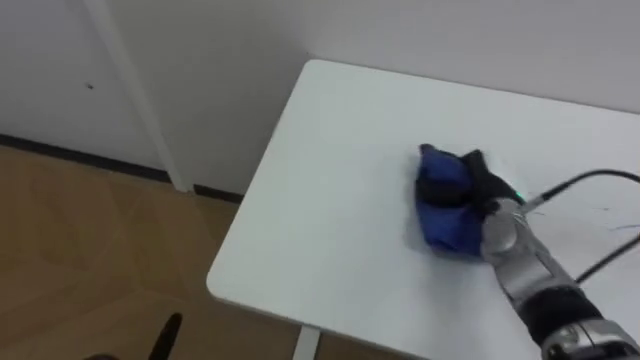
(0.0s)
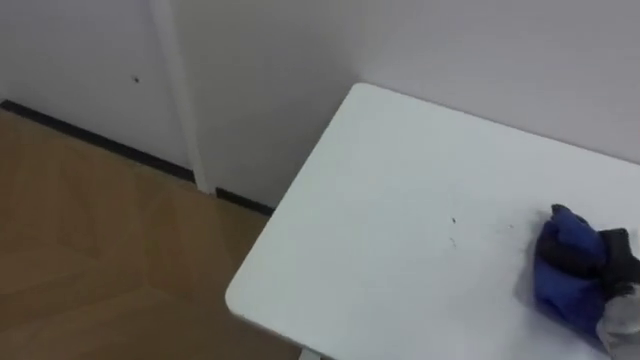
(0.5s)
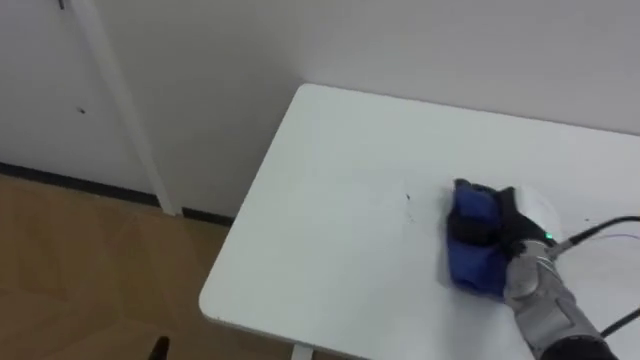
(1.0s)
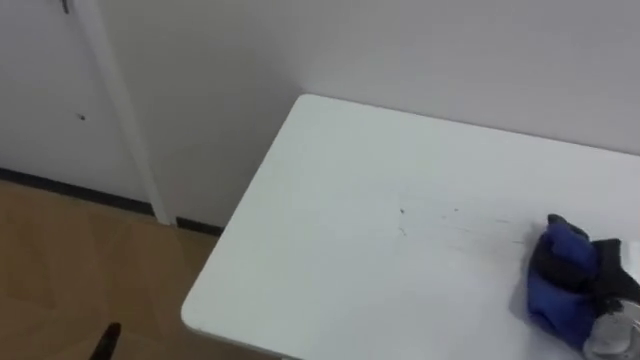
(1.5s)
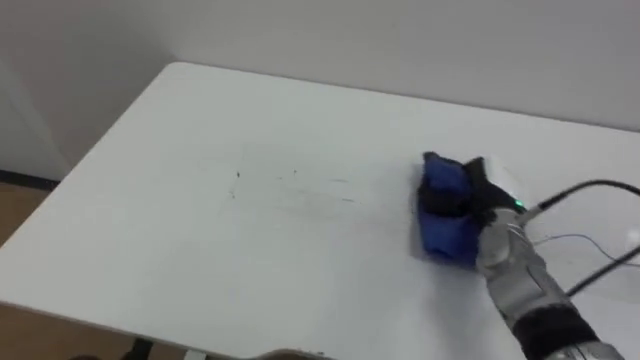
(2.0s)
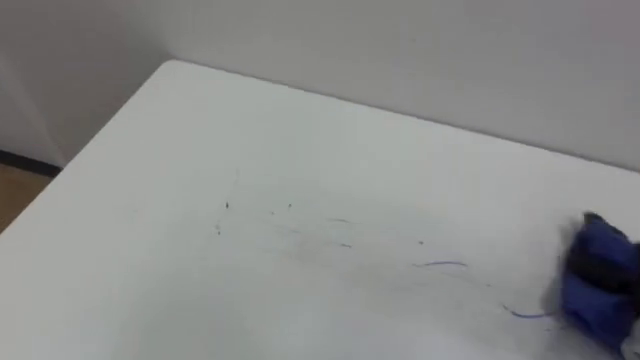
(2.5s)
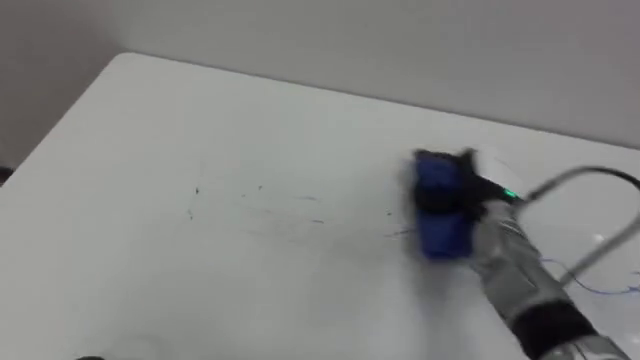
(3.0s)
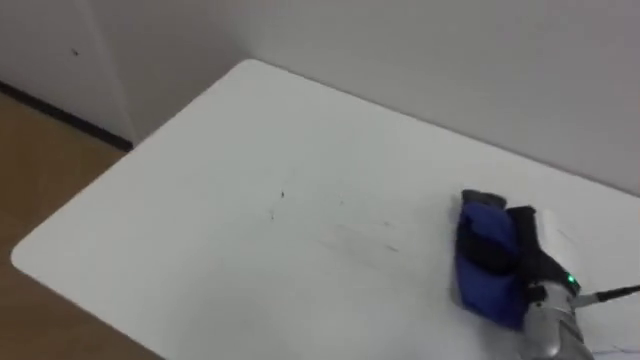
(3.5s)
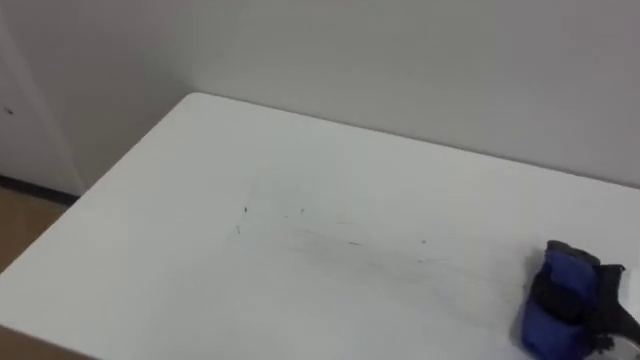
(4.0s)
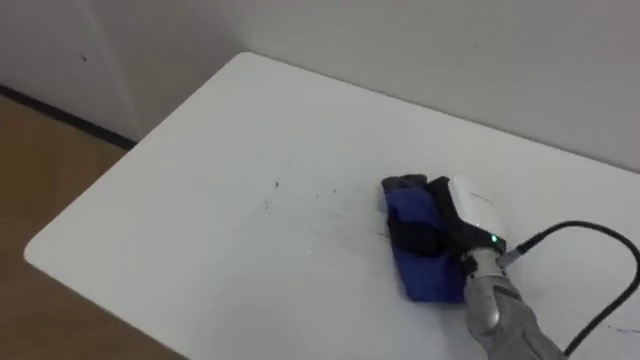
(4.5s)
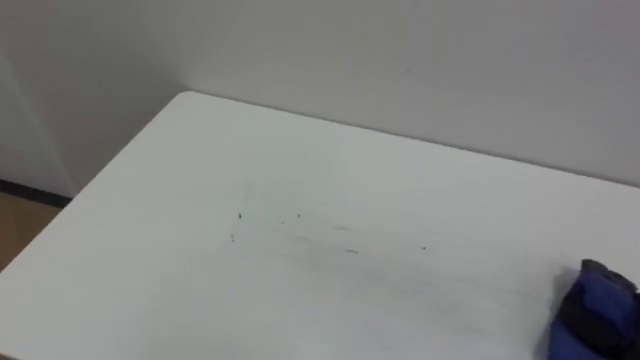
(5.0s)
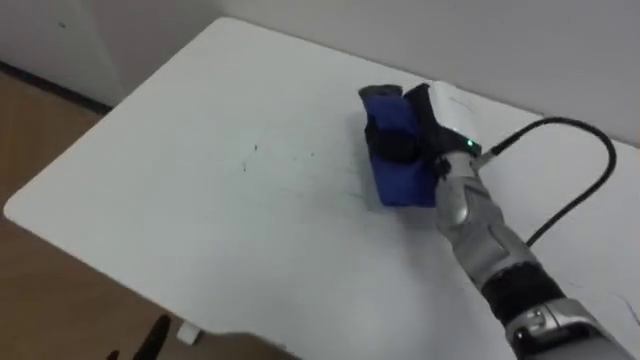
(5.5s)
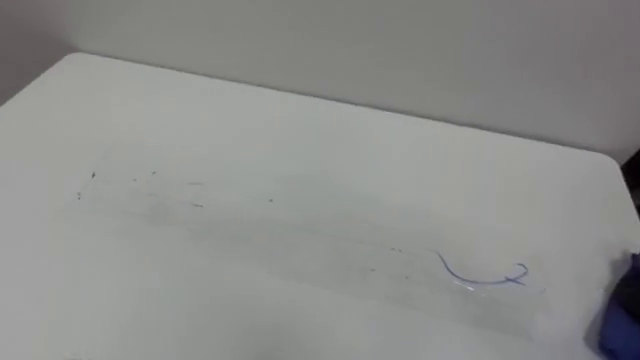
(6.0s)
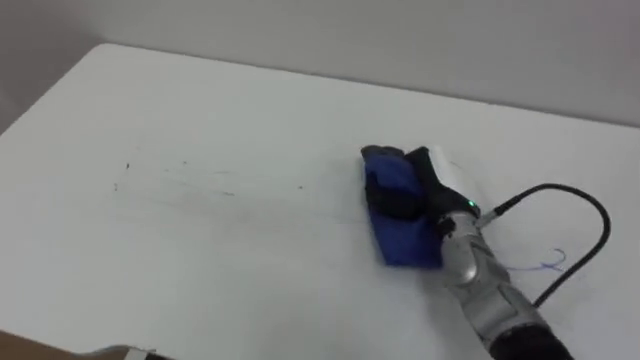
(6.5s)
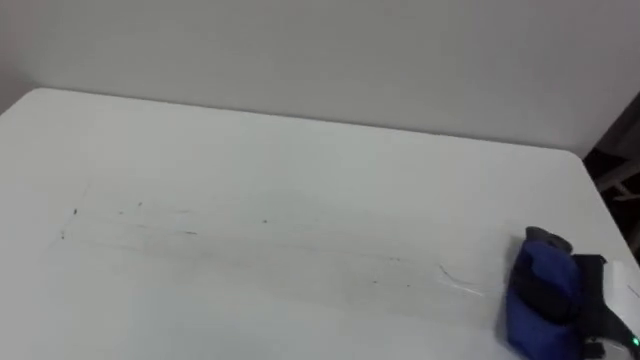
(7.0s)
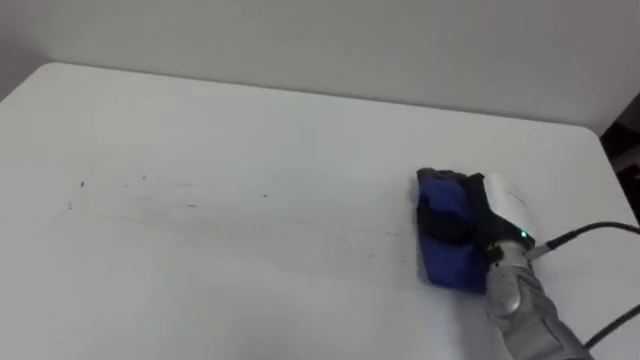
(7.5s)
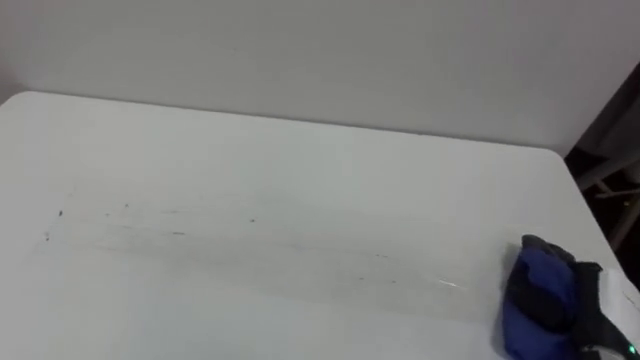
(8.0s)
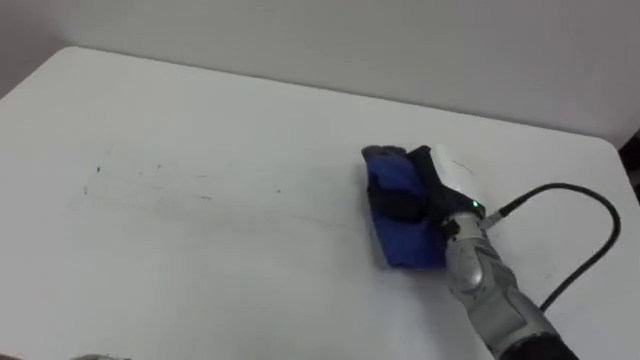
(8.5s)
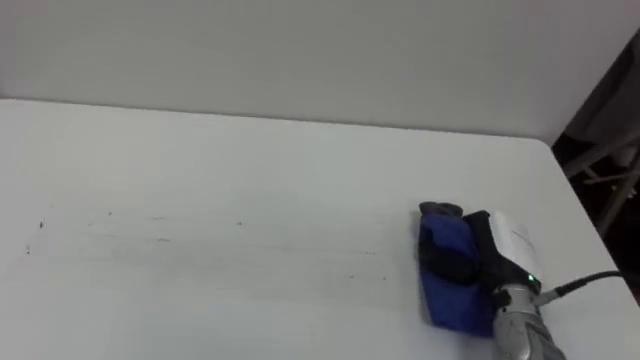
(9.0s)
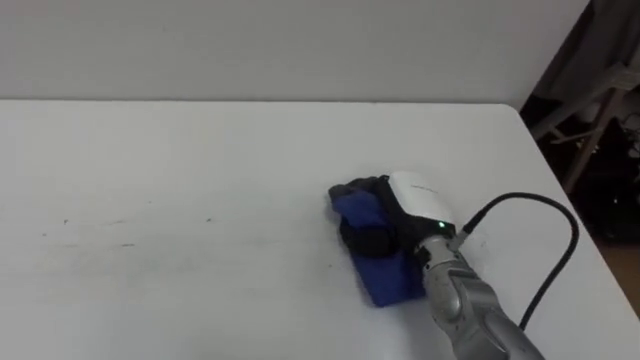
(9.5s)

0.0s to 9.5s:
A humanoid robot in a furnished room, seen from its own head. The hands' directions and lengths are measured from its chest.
Task of the whole recording: Wipe the blue pen marks off the table with the rag.
0.0s to 2.0s: The right hand moves left and right over approximately 15 cm, changing direction 3 times.
4.0s to 5.5s: The right hand goes forward and backward, approximately 25 cm each way, reversing 2 times.
7.5s to 9.5s: The right hand moves left and right over about 25 cm, changing direction 3 times.

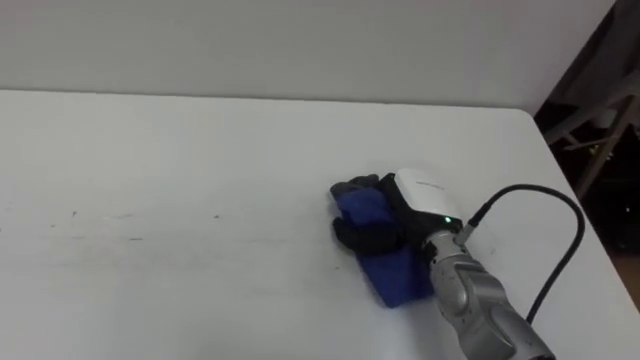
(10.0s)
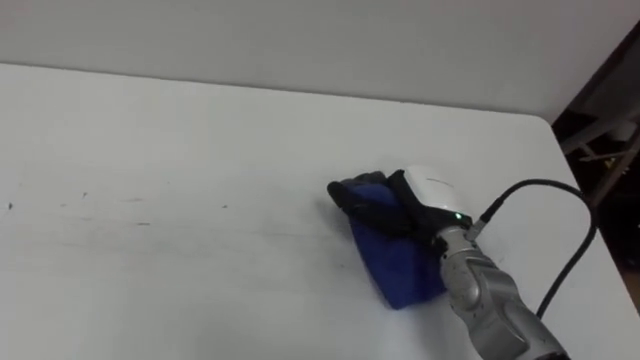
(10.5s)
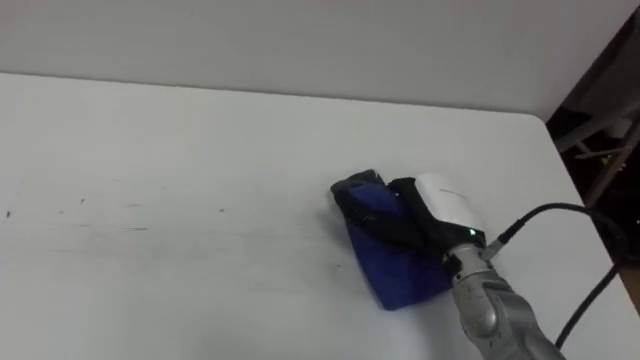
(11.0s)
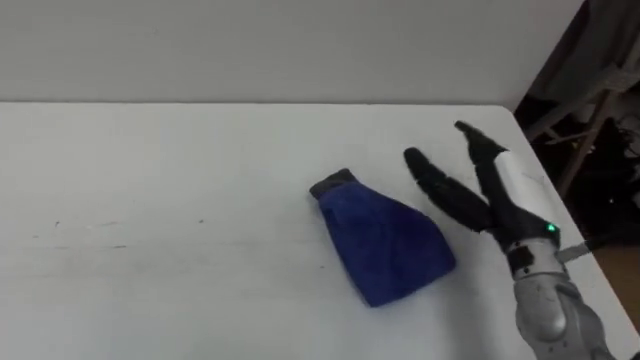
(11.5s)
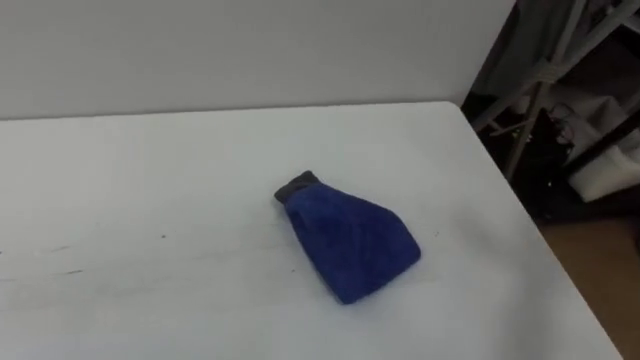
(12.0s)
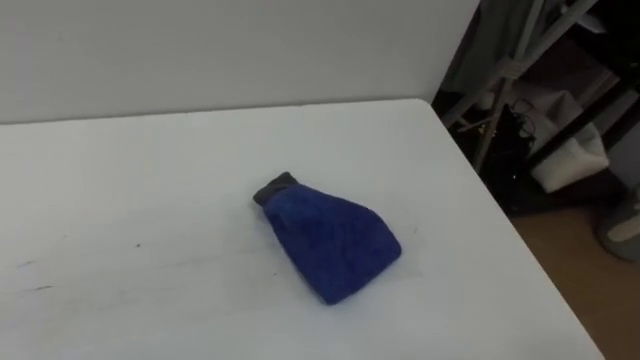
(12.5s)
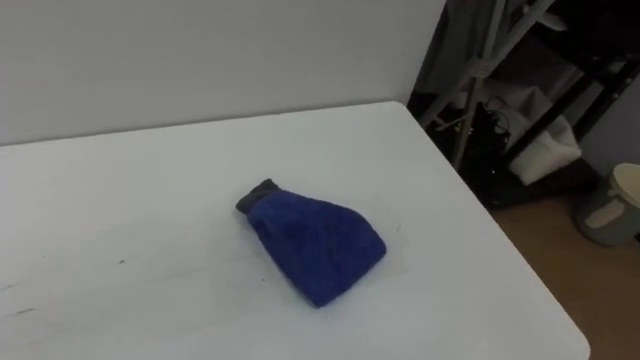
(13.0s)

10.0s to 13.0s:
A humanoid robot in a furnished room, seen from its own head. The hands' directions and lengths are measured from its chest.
Task of the whole recording: Wipe the blue pen marks off the table with the rag.
10.0s to 11.5s: The right hand travels to the right and upward by approximately 10 cm, and opens up.

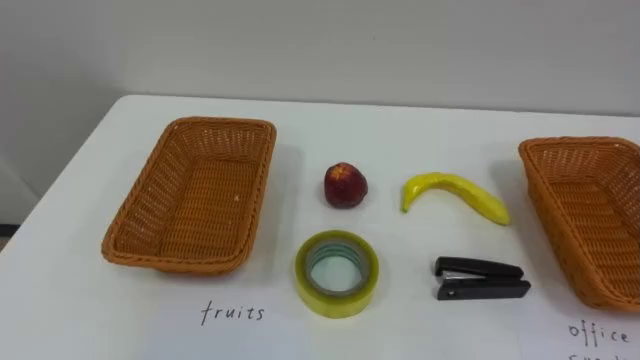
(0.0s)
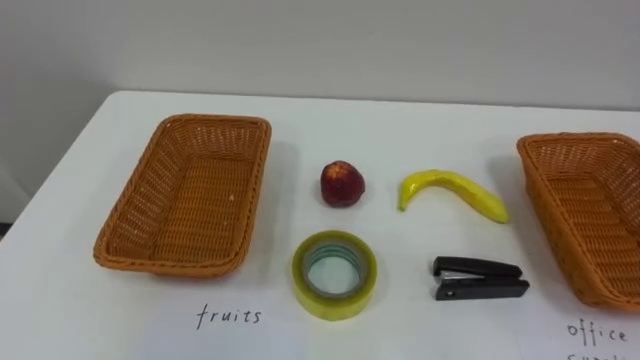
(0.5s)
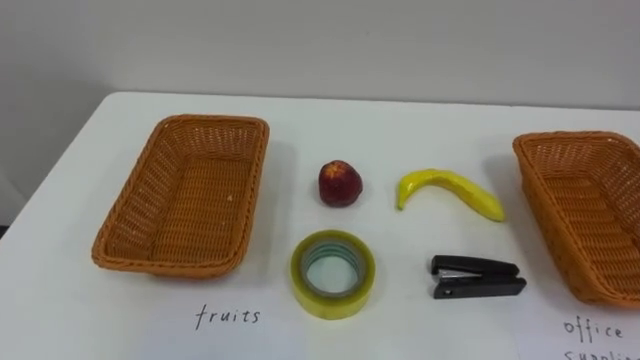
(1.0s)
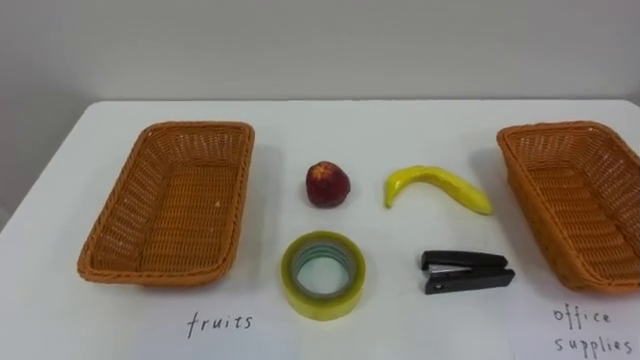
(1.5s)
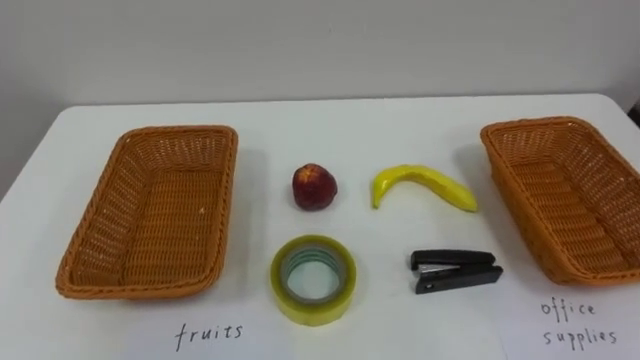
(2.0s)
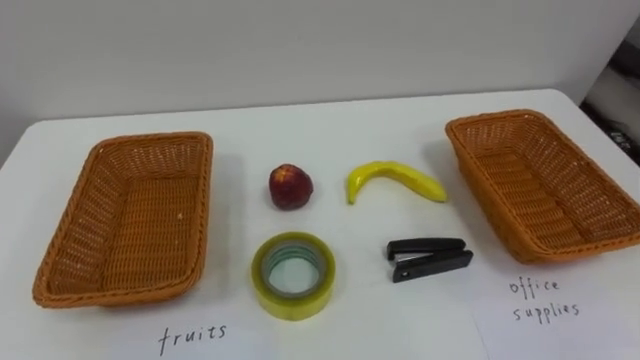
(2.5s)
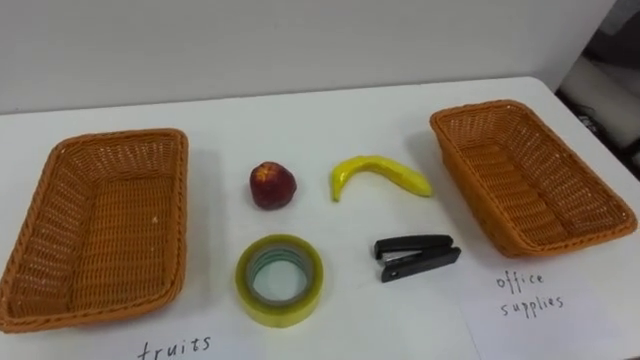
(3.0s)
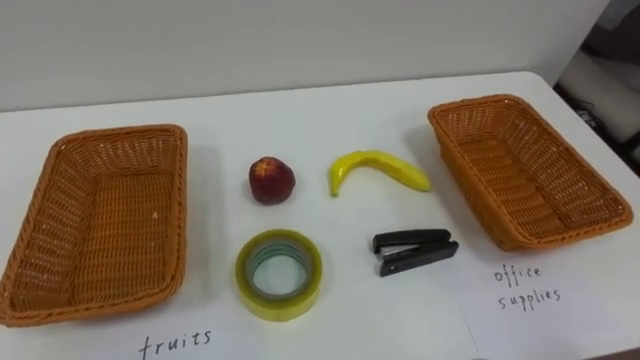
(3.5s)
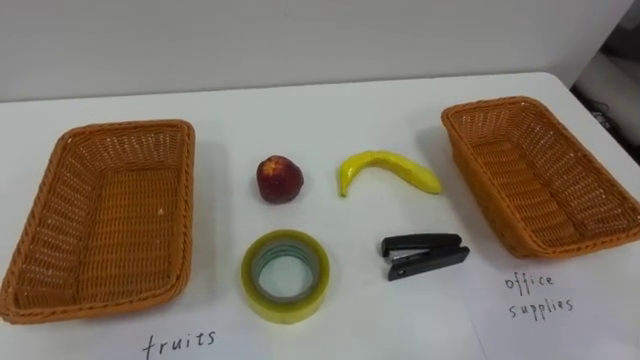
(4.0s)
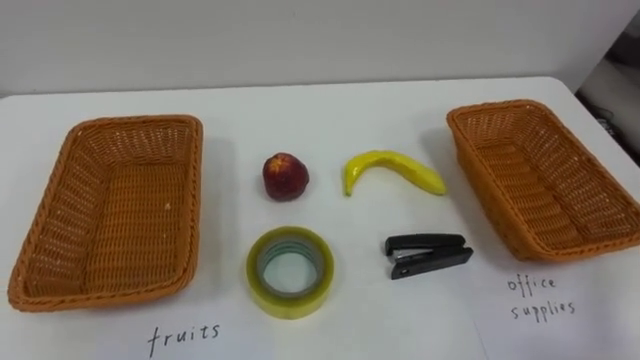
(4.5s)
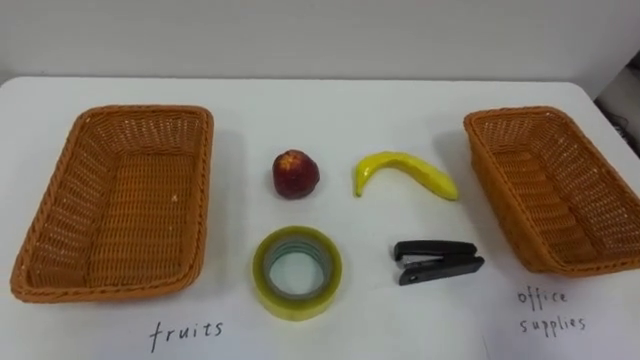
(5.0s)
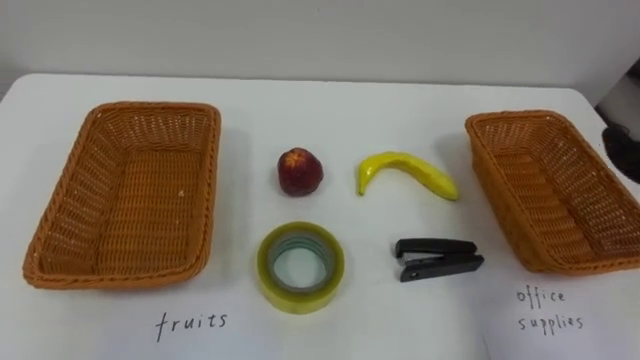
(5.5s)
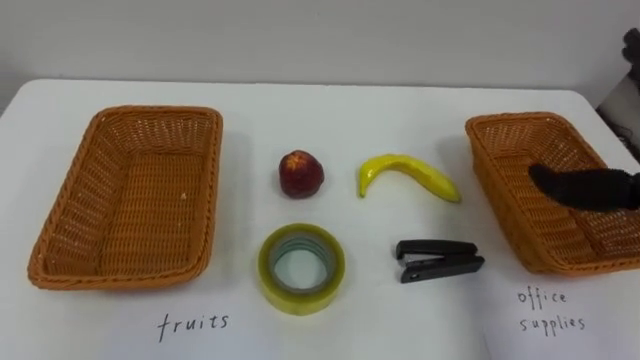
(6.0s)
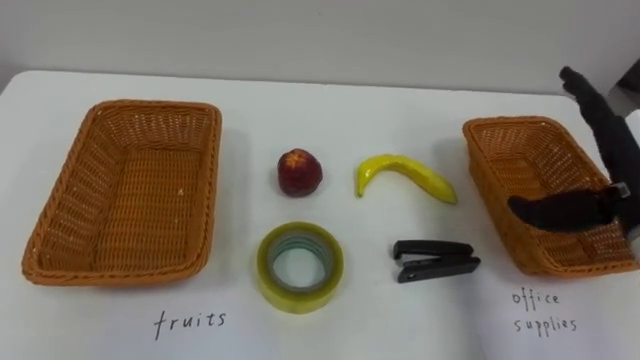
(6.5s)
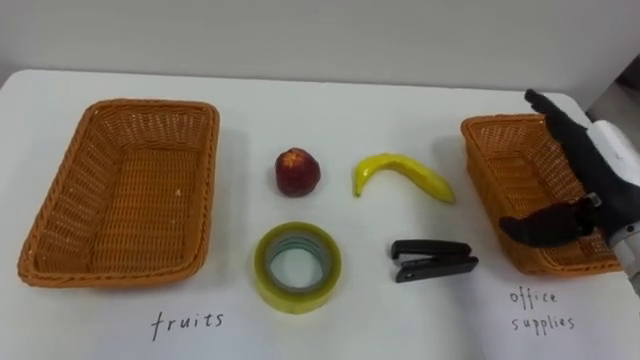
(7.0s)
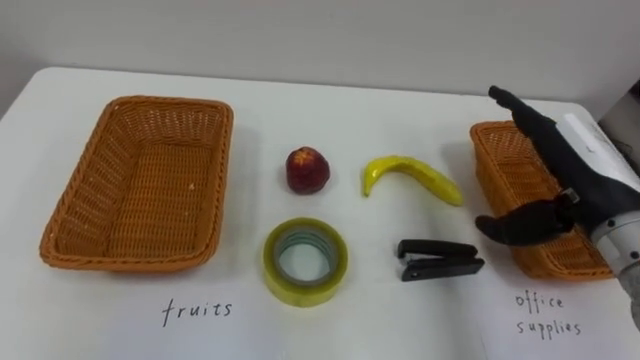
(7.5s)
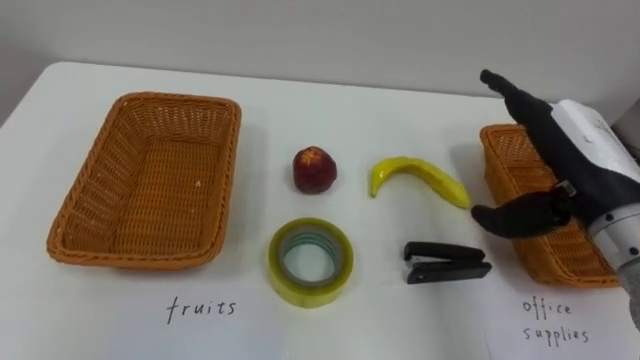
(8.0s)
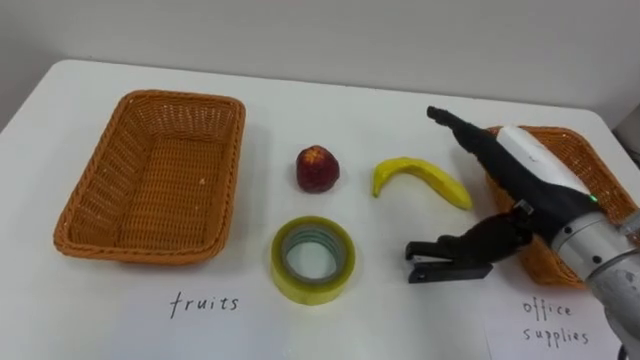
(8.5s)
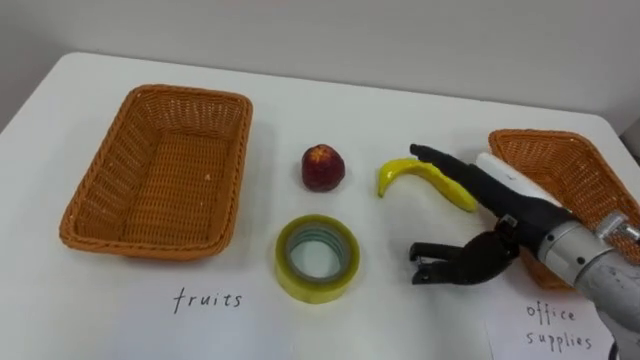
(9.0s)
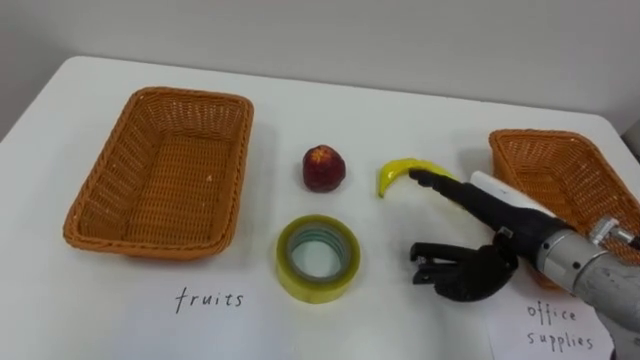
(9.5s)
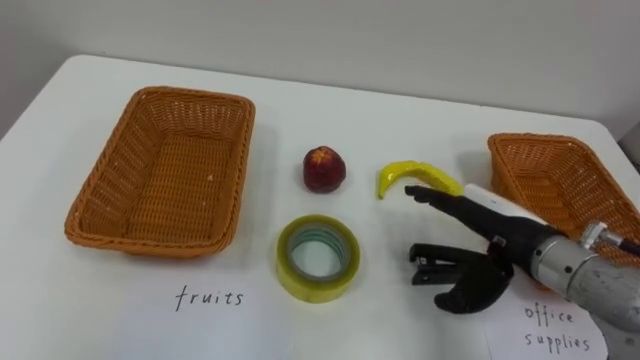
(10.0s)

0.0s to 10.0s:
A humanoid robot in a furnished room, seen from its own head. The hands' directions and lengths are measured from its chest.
Task of the whole recording: Separate the items on the table and place them into the two baskets.
8.0s to 10.0s: The right hand moves downward, approximately 10 cm.
